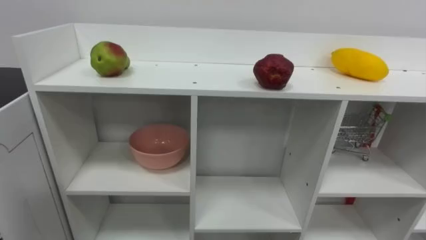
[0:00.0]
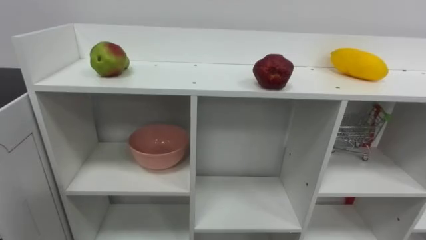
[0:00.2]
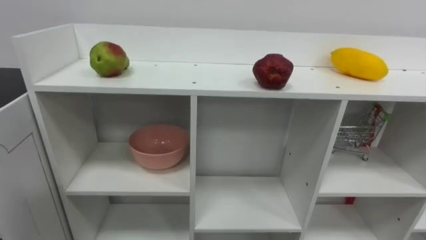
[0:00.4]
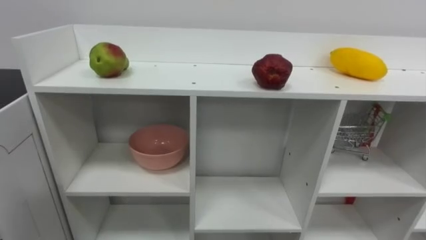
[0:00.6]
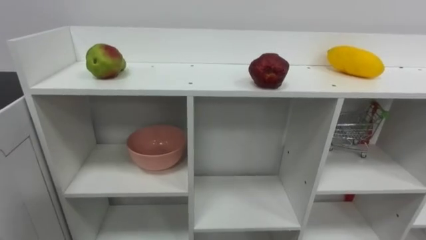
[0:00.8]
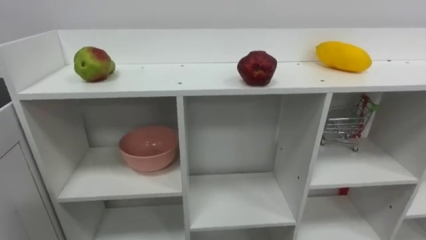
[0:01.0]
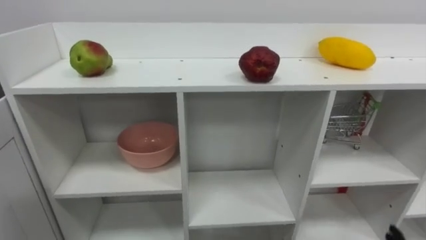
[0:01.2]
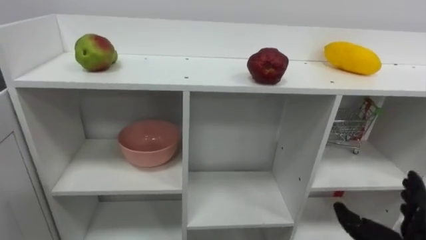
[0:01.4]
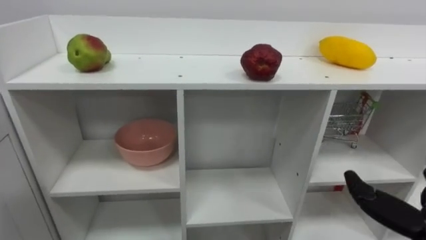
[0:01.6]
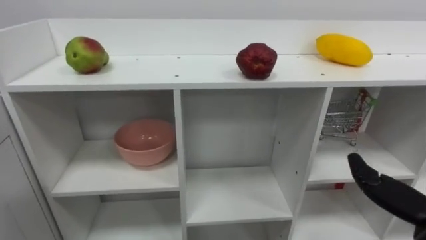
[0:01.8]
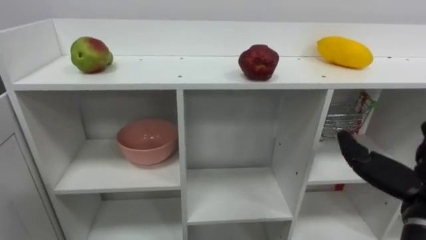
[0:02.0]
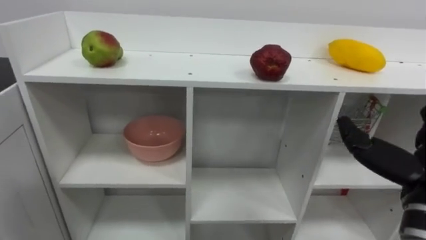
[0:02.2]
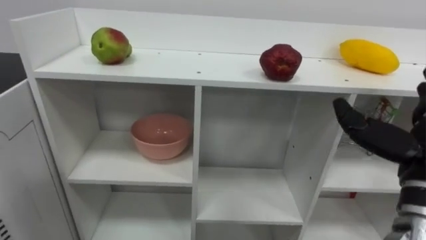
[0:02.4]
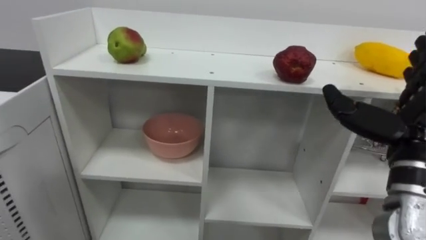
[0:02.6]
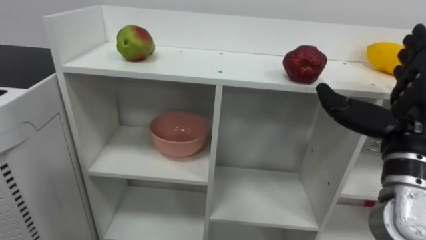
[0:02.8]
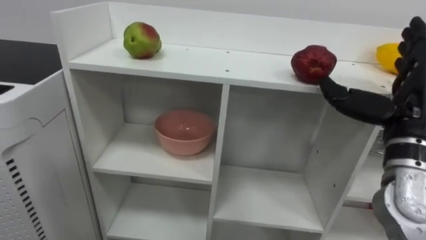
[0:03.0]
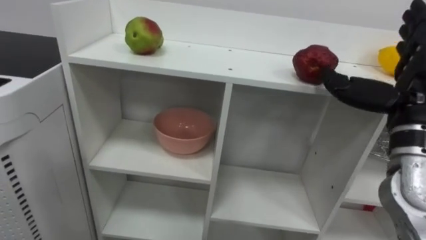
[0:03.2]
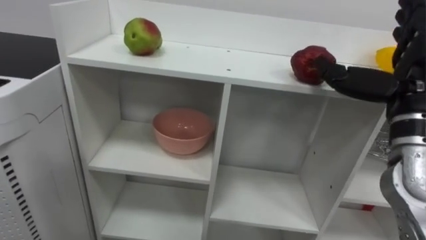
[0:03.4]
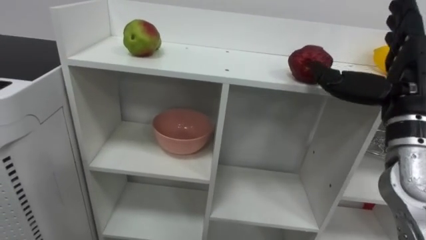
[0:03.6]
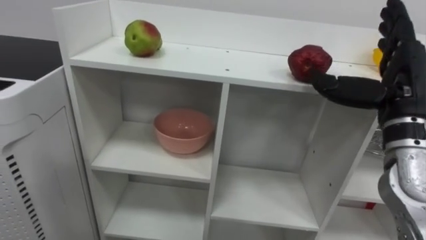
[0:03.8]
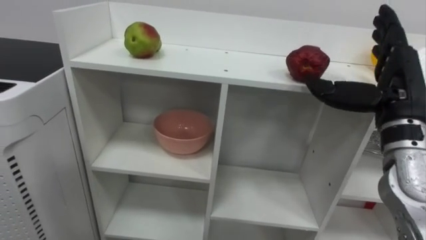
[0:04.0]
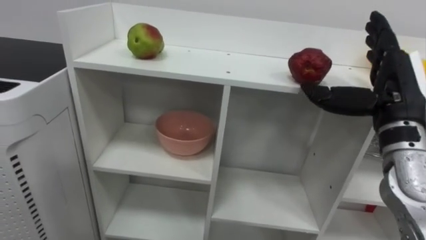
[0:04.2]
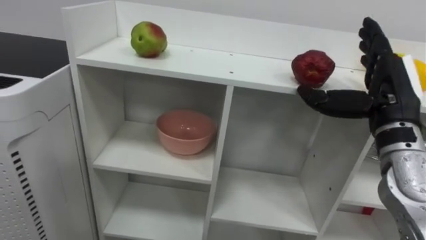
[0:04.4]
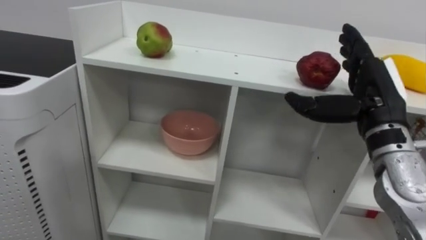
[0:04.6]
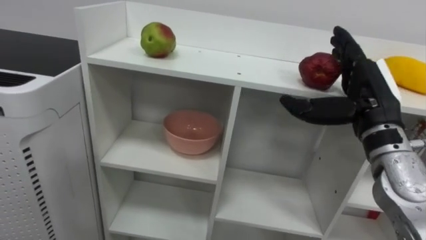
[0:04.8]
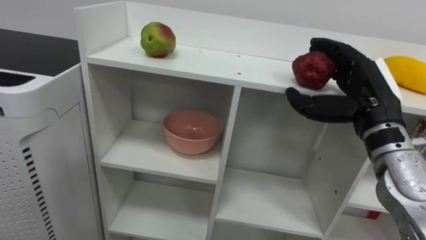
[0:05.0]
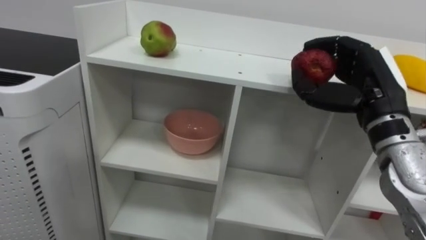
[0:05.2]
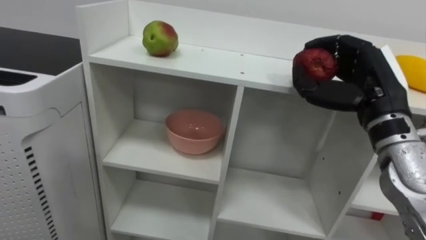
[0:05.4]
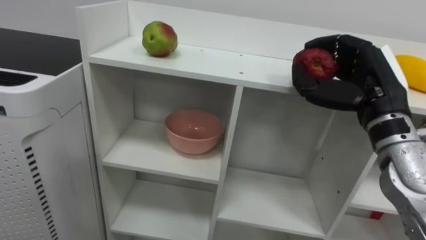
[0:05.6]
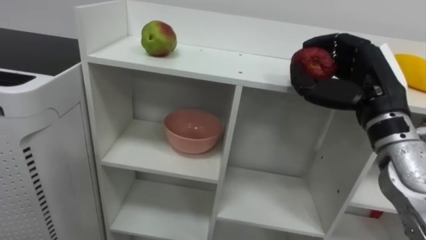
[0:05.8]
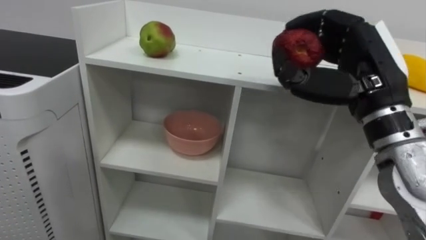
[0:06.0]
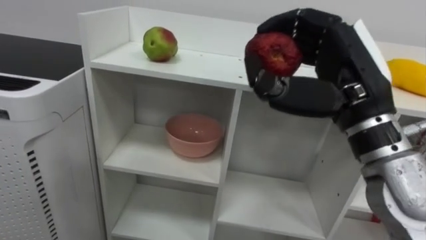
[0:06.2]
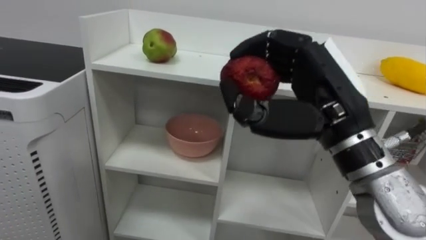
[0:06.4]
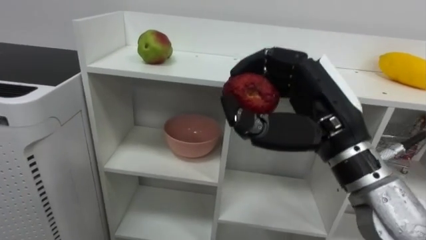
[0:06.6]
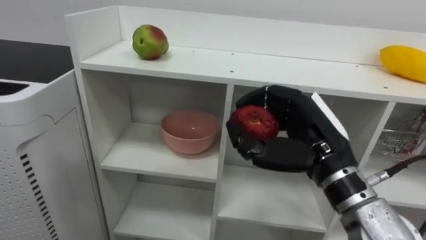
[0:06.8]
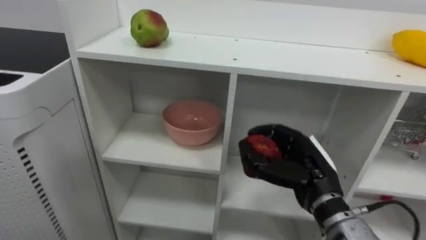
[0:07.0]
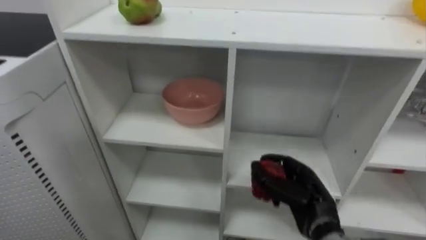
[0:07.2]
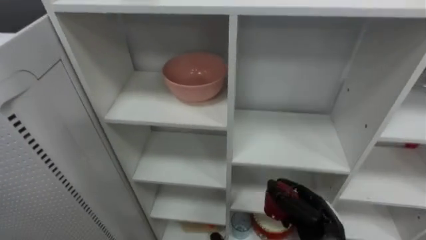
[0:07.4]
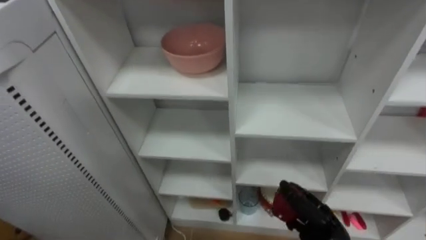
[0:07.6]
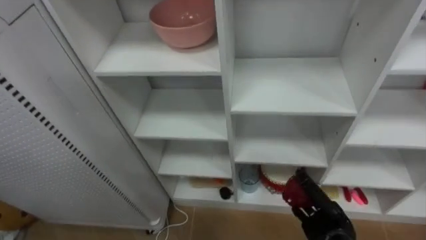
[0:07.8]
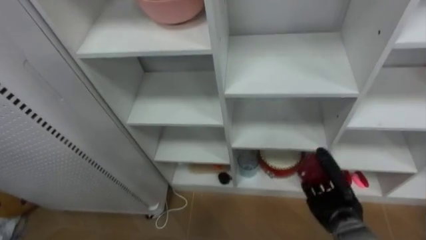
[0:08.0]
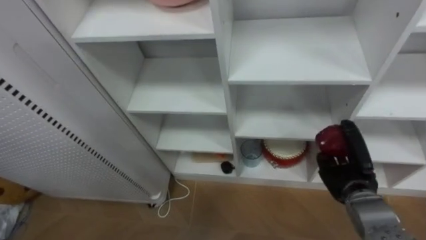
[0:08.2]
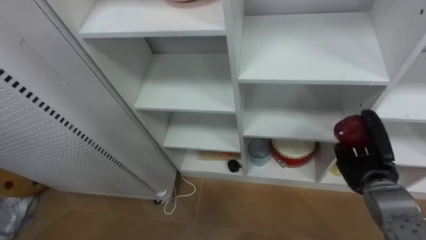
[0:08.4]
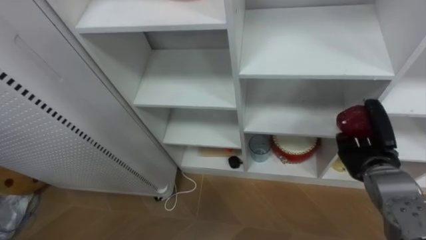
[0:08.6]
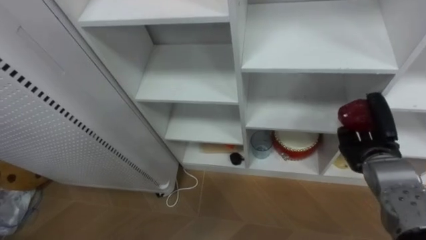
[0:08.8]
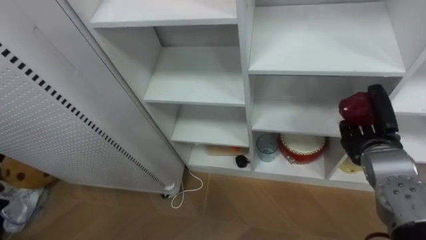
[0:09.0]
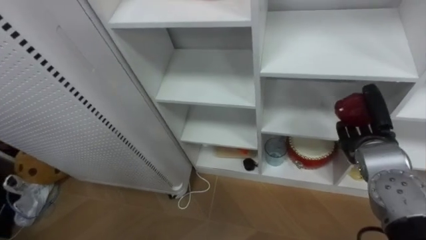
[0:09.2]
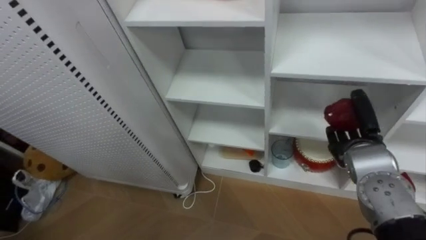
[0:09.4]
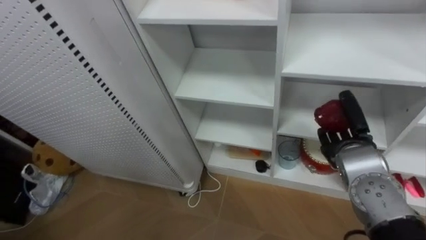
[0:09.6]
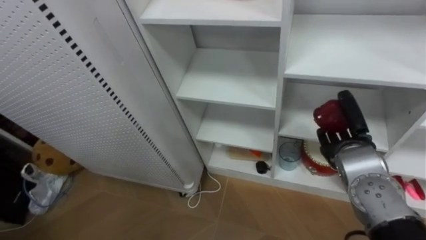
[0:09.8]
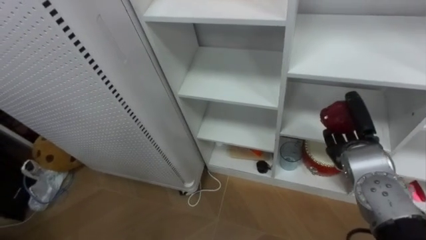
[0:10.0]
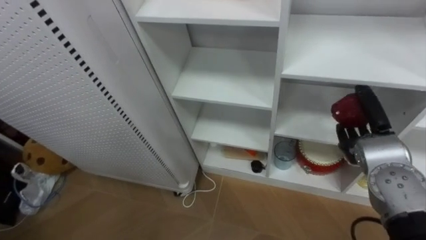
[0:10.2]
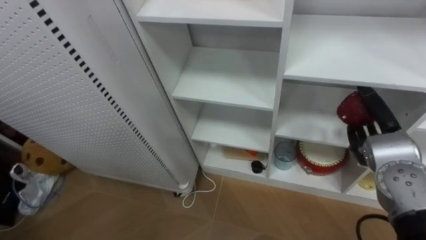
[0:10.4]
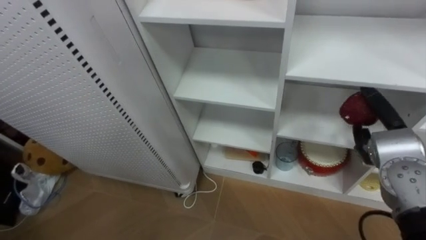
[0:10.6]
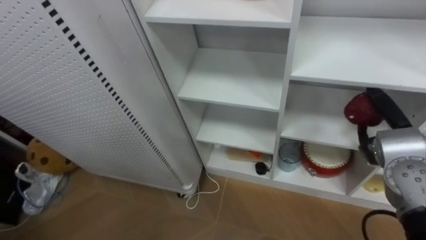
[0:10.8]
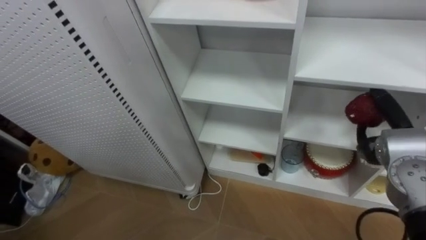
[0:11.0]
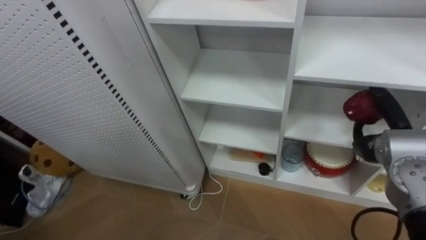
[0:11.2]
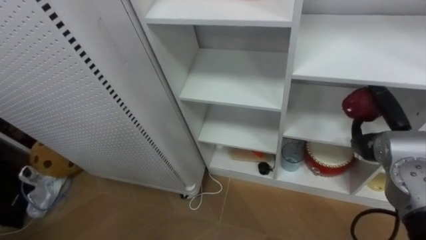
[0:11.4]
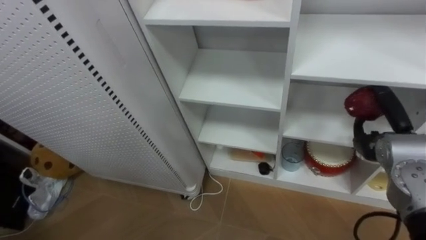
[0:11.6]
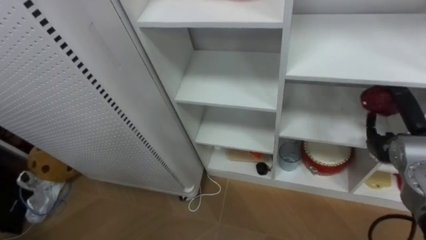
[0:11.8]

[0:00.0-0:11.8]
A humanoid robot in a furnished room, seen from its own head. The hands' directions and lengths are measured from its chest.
Task of the whole recording: Put the apple in the cell in the second column from the left and the second row from the top.
0:04.4 to 0:06.0: The right hand heads to the left, covering approximately 5 cm, and closes.
0:06.0 to 0:07.4: The right hand shifts approximately 30 cm downward.
0:07.4 to 0:08.8: The right hand goes some 15 cm upward, to the right and forward.
0:08.8 to 0:10.4: The right hand opens its fingers.

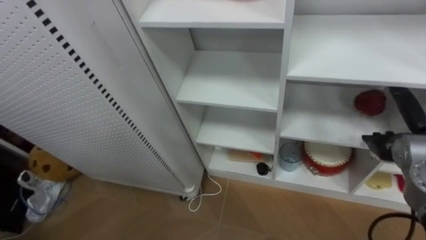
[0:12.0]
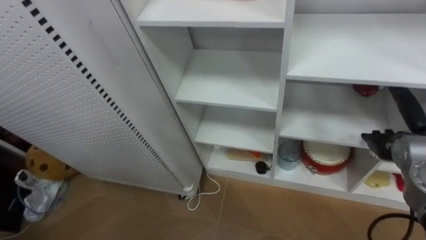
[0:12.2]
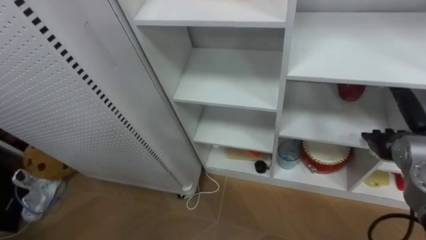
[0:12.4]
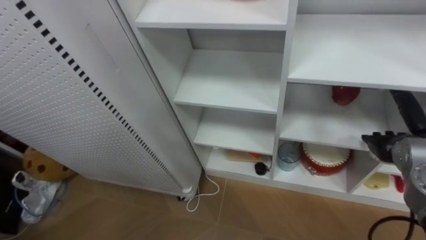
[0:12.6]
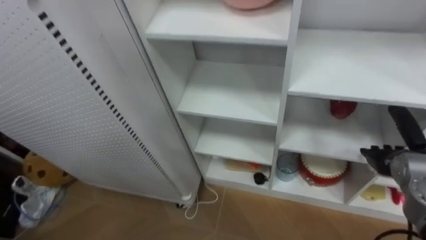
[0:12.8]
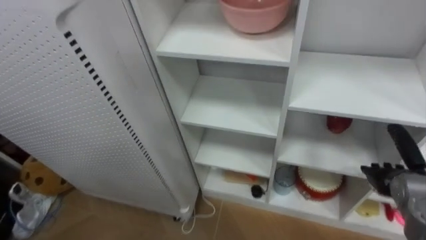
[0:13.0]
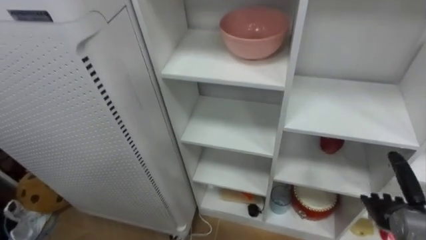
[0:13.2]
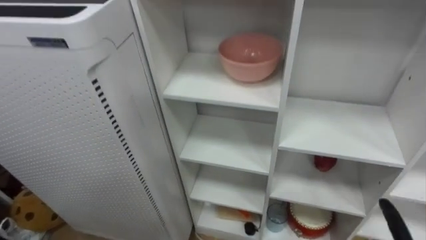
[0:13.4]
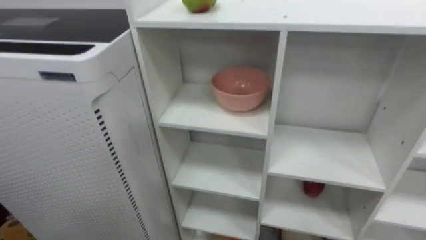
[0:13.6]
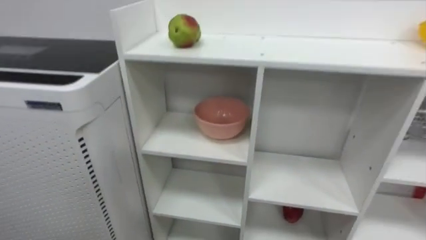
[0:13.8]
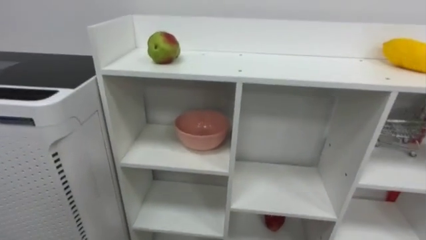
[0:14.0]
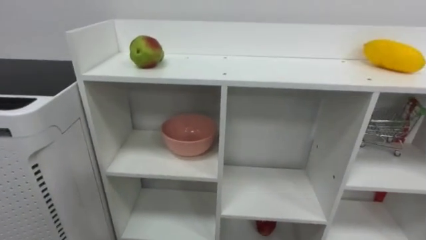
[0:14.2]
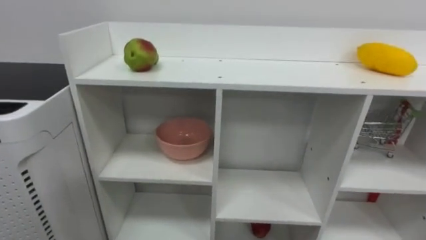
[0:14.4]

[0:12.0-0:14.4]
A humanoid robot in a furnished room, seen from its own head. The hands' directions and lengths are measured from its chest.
Task of the whole recording: Put the apple in the cell in the second column from the left and the second row from the top.
0:12.0 to 0:13.2: The right hand goes about 10 cm downward.

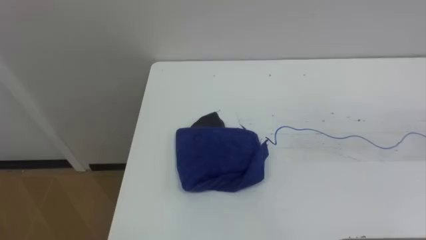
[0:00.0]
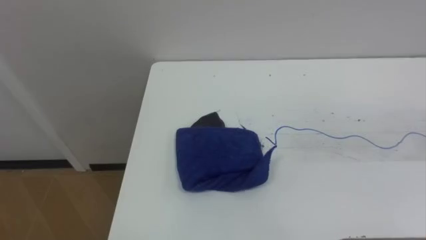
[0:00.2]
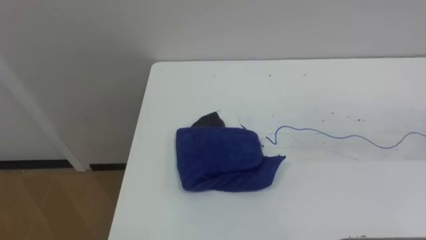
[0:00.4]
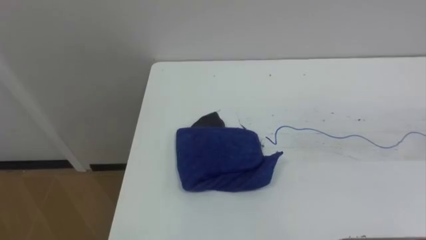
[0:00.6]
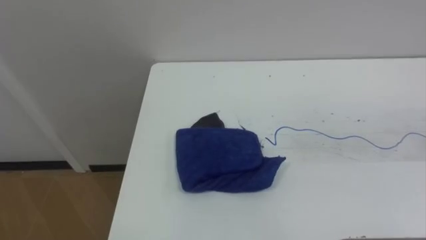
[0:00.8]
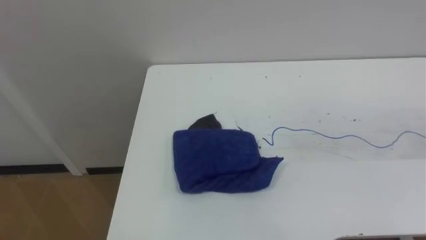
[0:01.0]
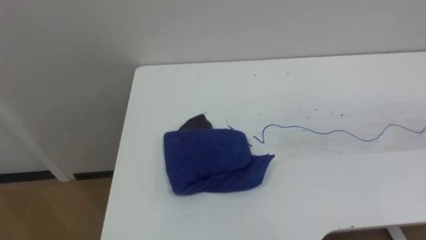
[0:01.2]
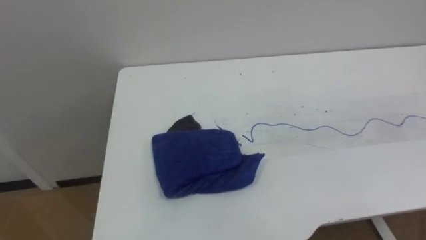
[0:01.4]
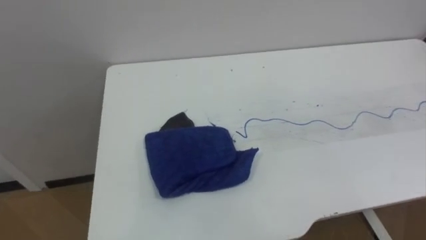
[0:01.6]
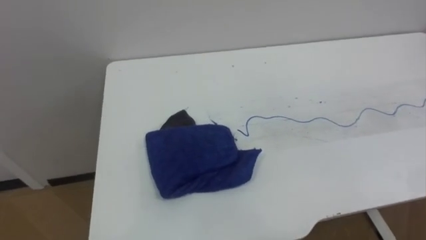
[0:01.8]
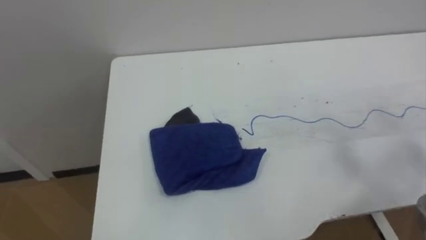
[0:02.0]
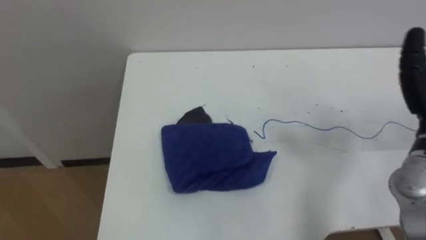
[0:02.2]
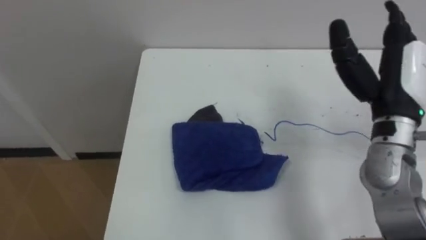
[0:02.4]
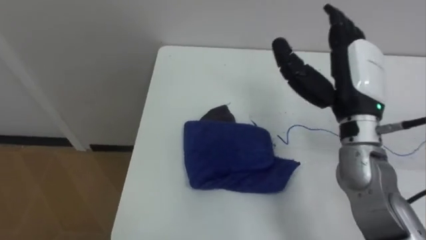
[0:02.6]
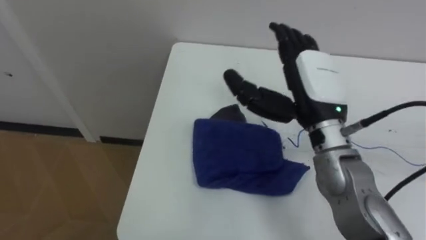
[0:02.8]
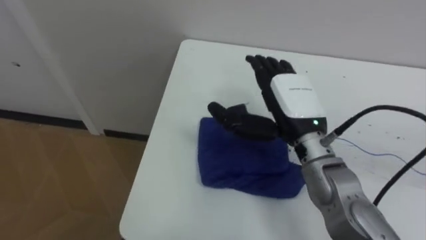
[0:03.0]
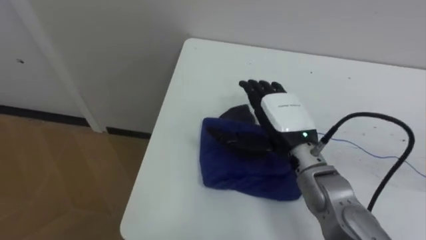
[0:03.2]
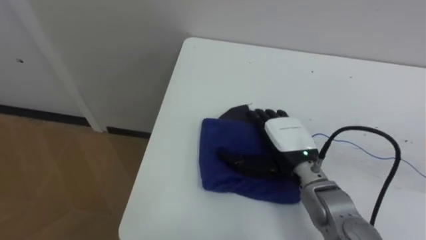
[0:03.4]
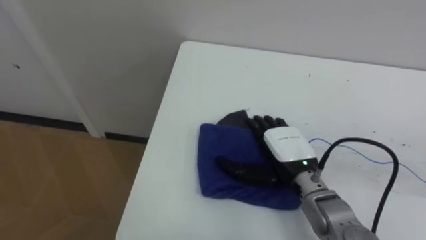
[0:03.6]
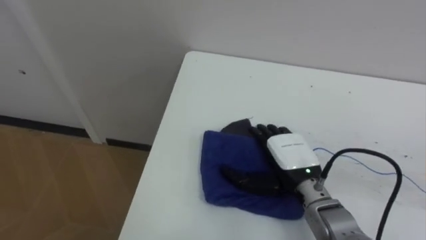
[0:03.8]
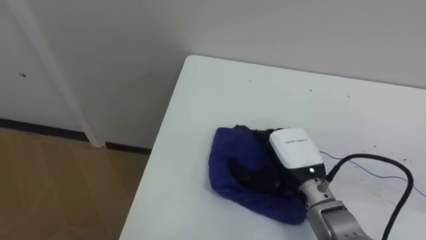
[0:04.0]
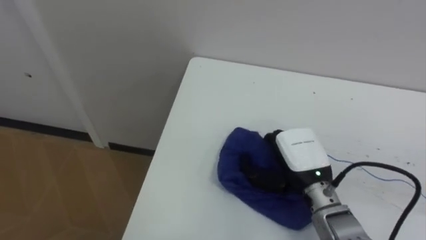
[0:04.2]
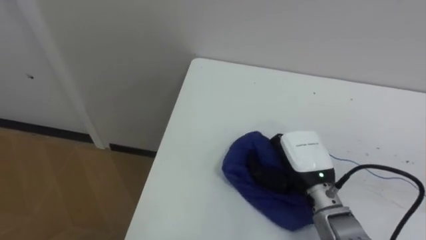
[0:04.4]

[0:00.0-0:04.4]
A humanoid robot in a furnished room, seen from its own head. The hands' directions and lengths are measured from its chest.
Task of the whole recording: Wipe the blue pen marks off the table with the rag.
0:03.0 to 0:04.4: The right hand shifts roughly 10 cm downward, and closes up.
